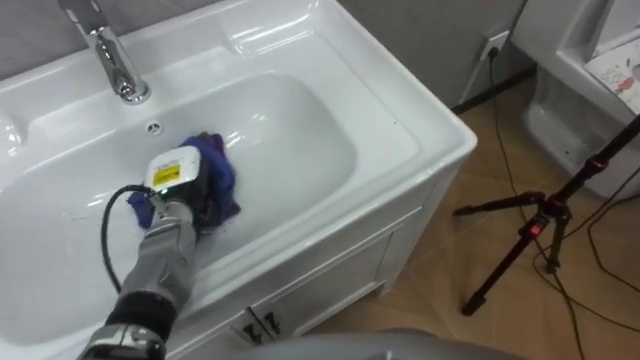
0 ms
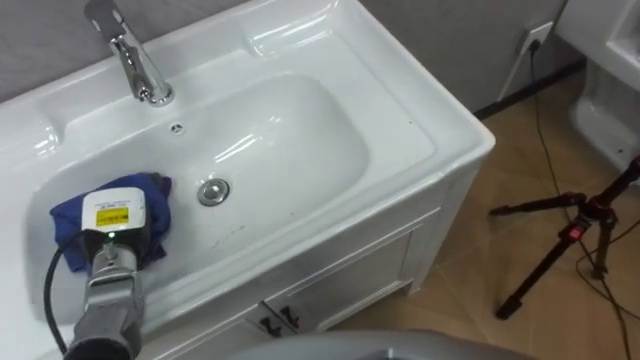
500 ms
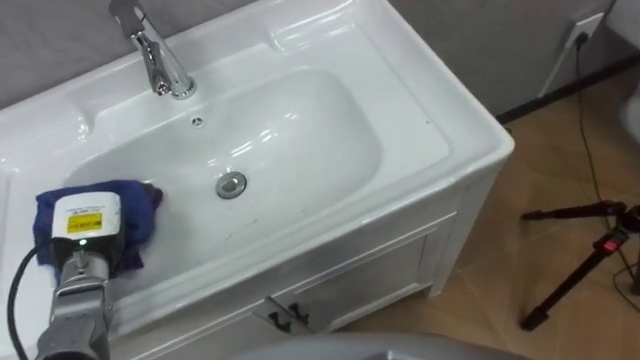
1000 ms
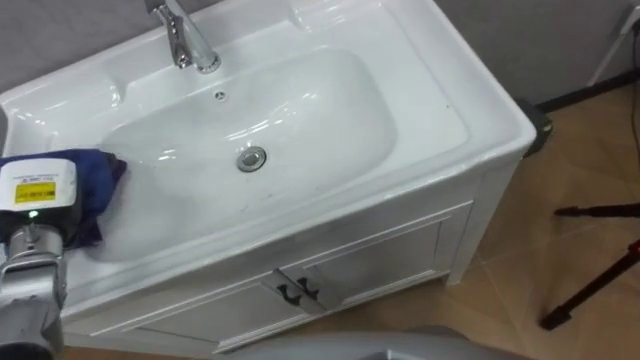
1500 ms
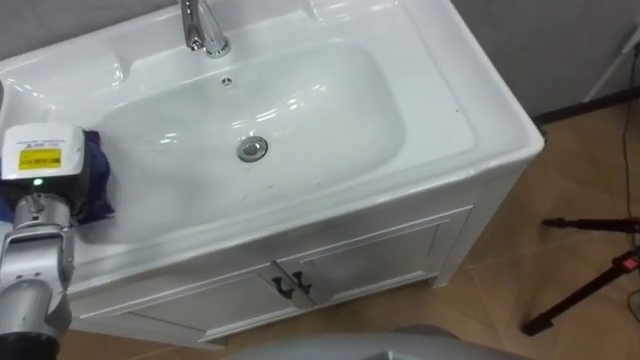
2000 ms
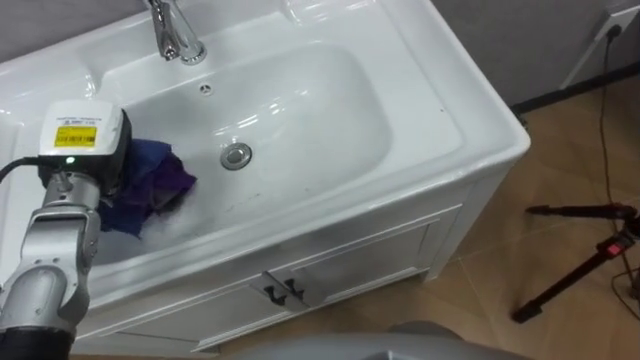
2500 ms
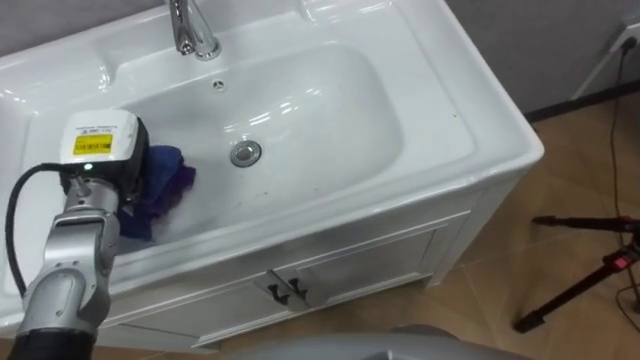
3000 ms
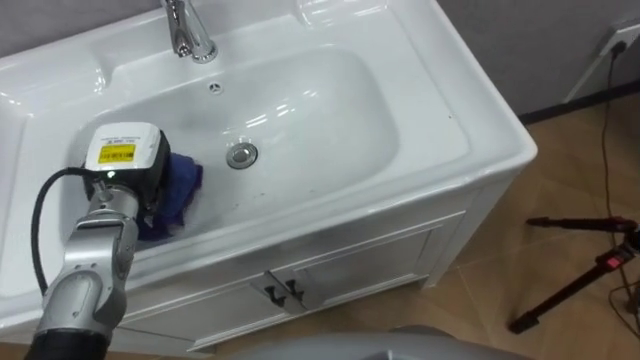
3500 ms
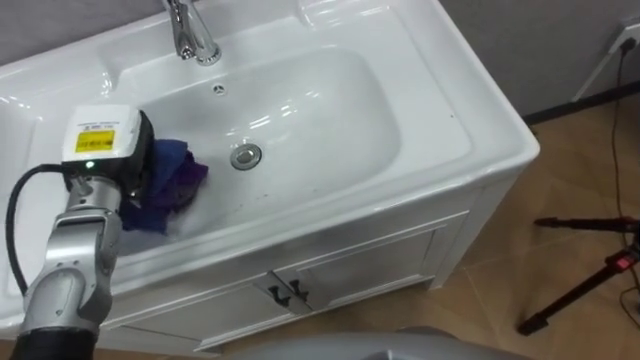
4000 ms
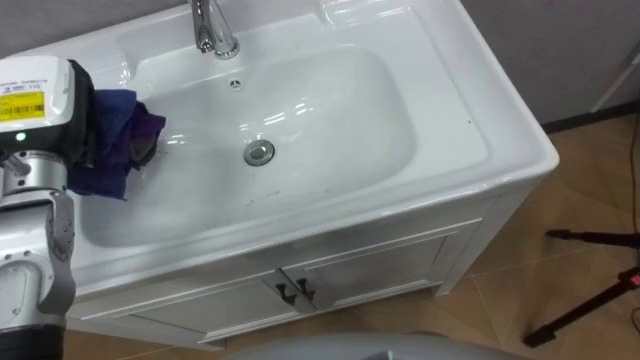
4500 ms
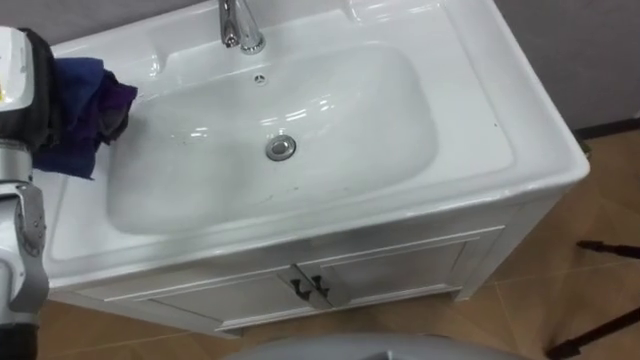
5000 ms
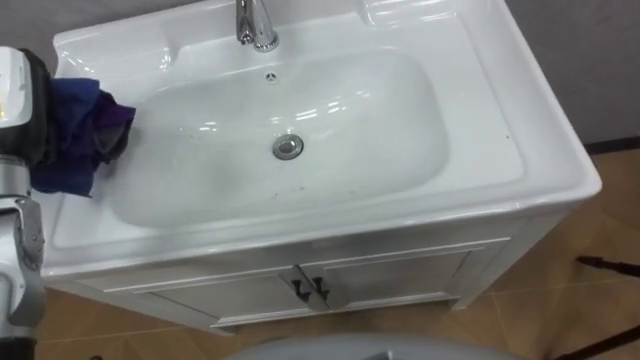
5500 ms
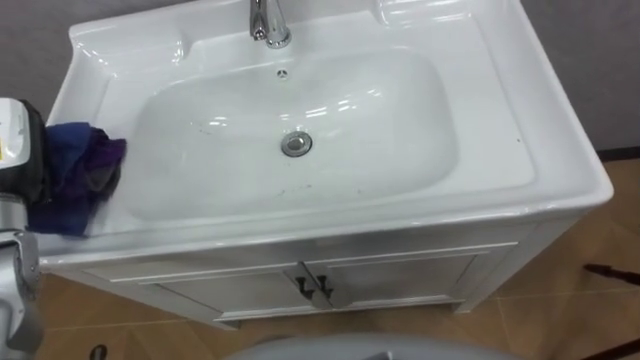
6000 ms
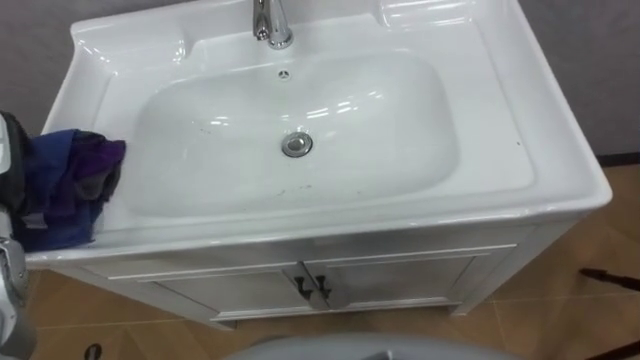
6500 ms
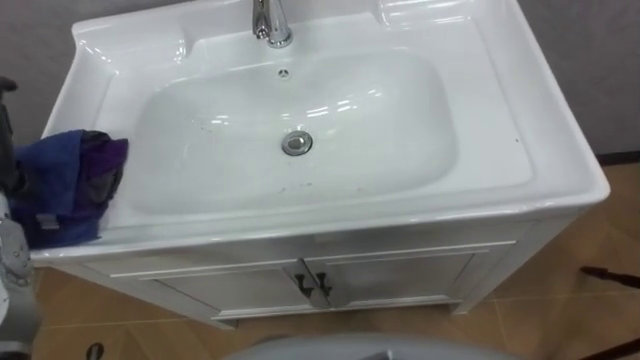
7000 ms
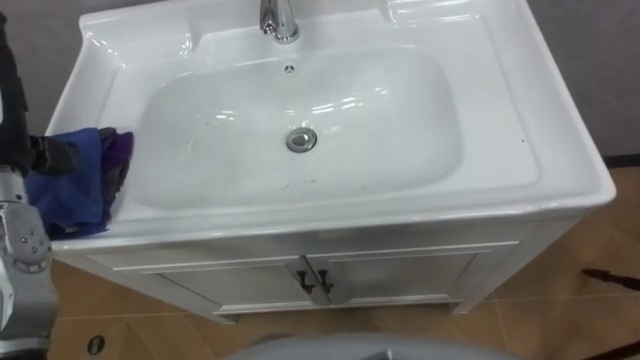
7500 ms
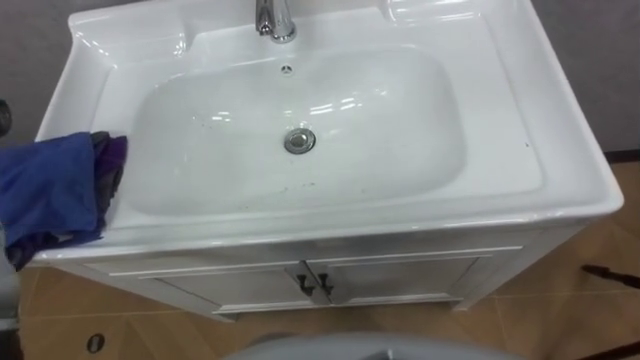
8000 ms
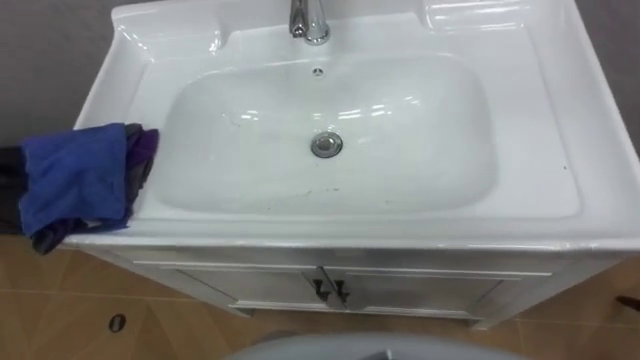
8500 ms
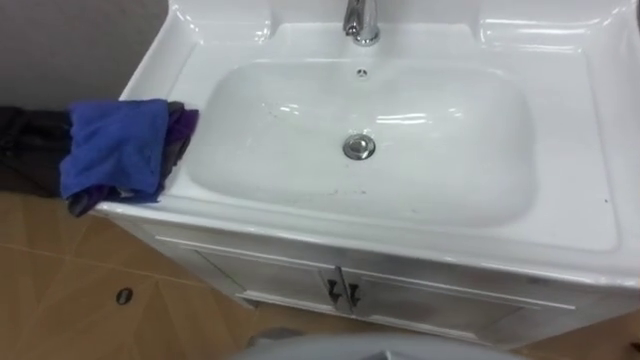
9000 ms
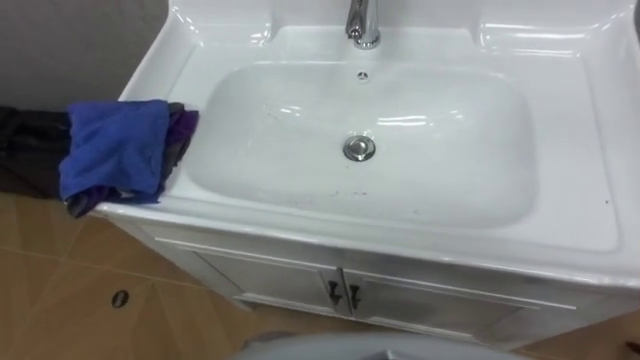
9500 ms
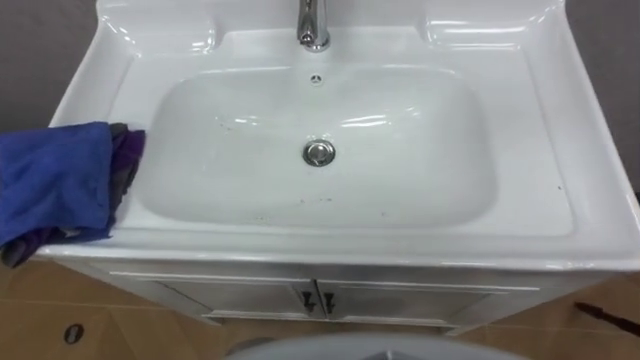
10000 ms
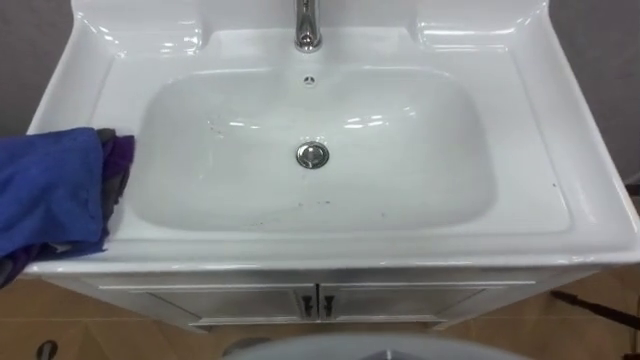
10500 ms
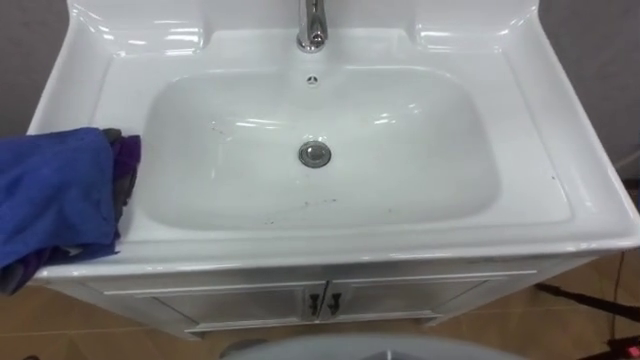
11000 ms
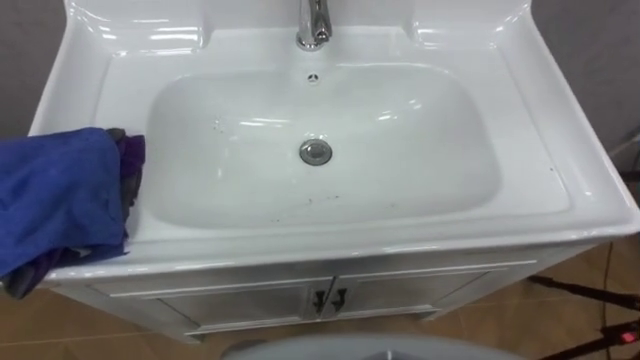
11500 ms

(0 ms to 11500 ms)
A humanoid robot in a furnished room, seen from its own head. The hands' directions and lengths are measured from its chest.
Task of the whole recording: Use the cloth on the right to wipe away the black stain in the sink.
0 ms - 2000 ms: The left hand heads to the left and upward, covering about 15 cm.
2000 ms - 4000 ms: The left hand moves to the right, roughly 10 cm.

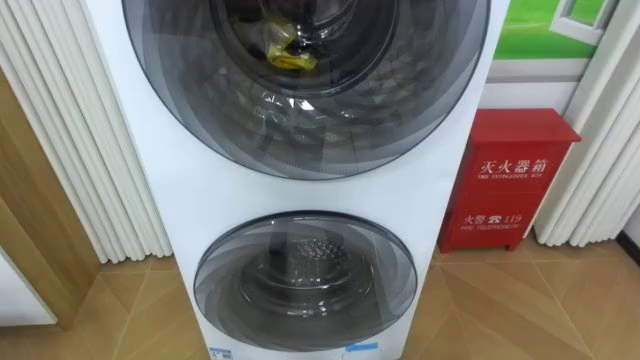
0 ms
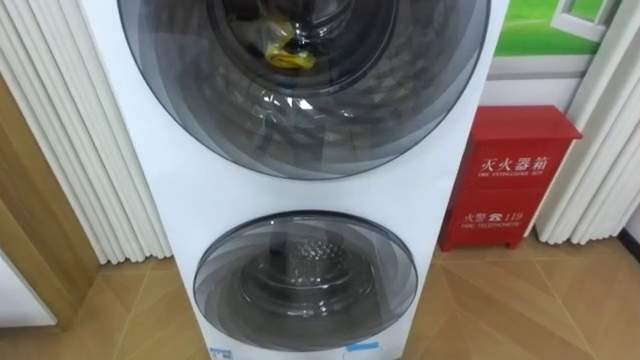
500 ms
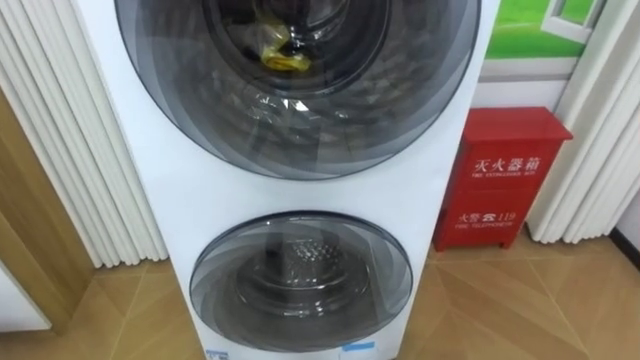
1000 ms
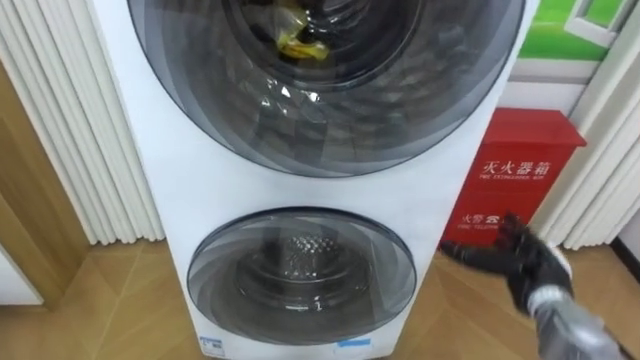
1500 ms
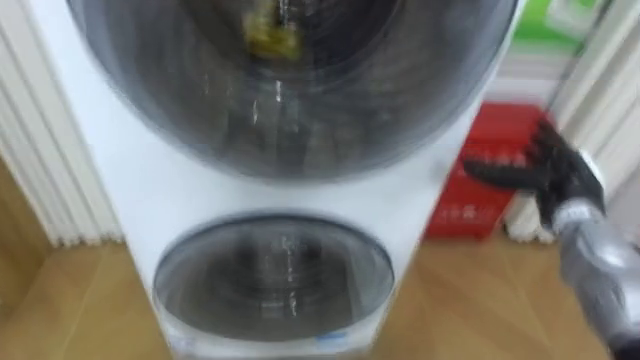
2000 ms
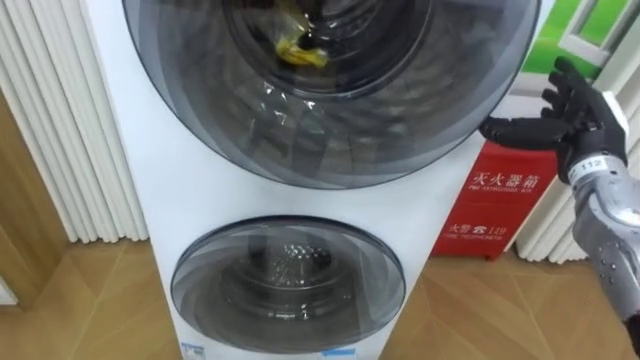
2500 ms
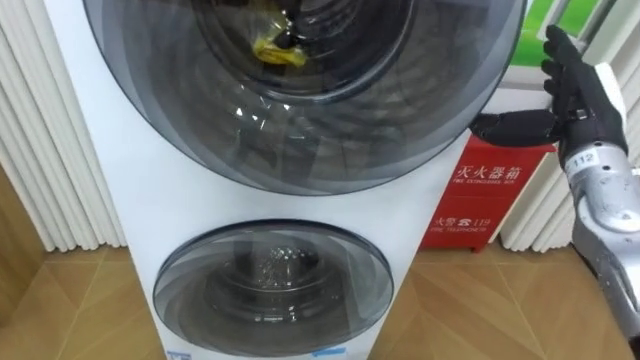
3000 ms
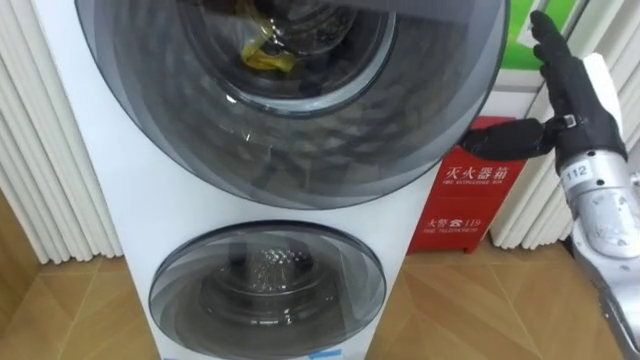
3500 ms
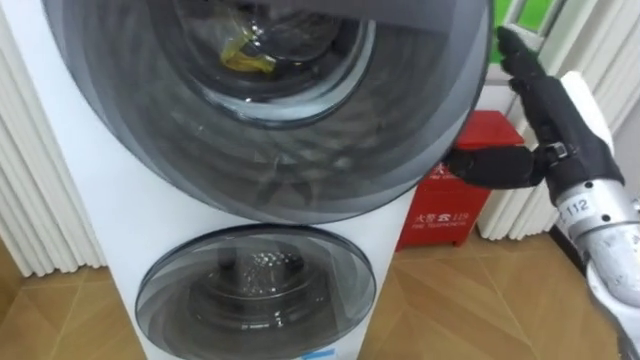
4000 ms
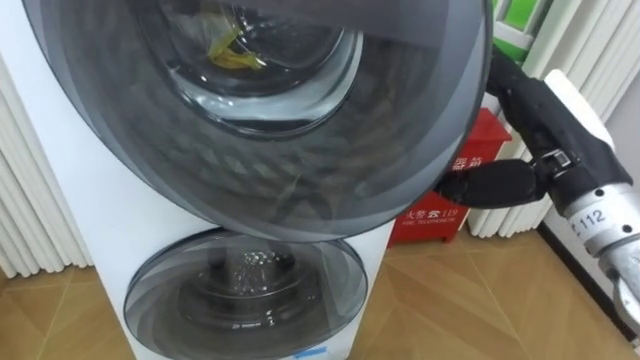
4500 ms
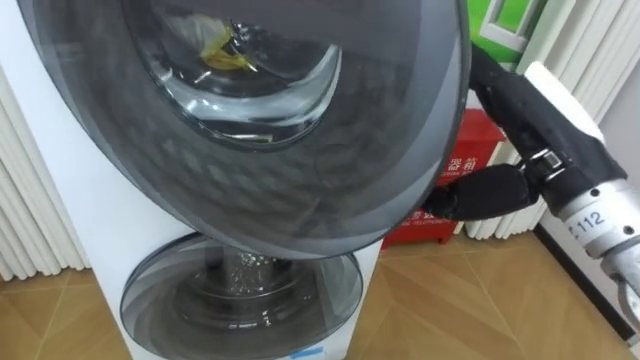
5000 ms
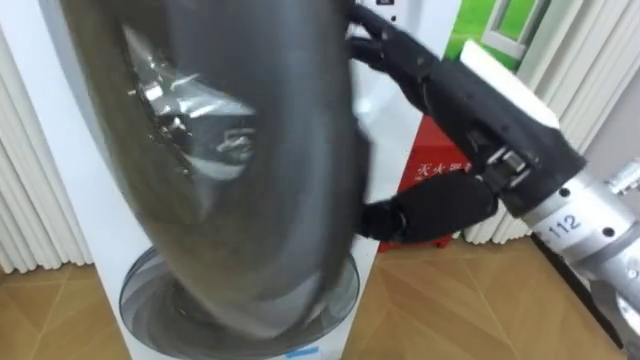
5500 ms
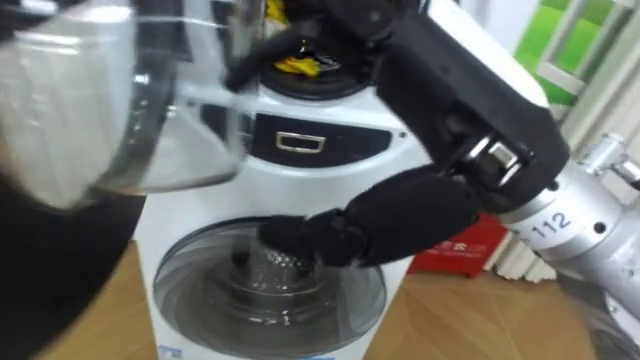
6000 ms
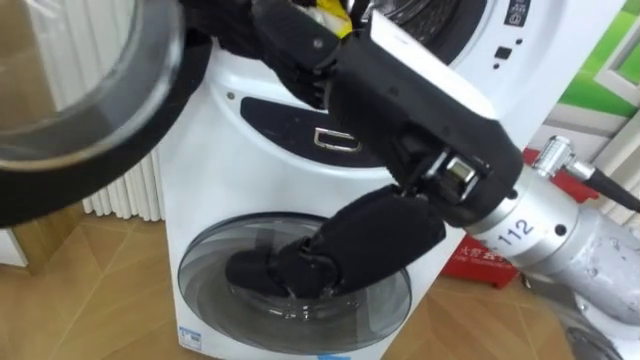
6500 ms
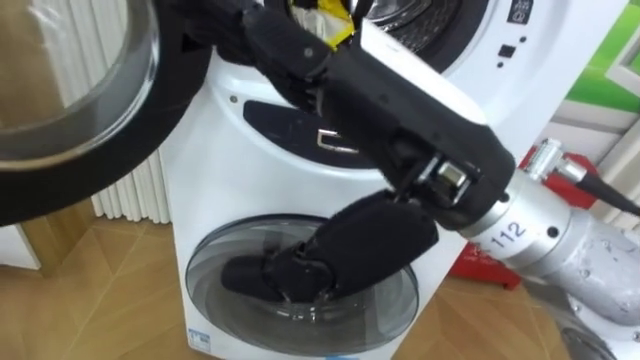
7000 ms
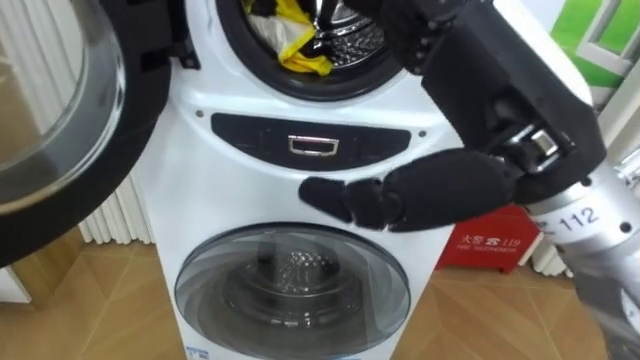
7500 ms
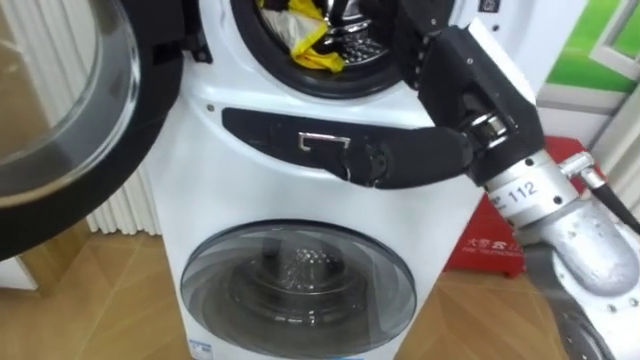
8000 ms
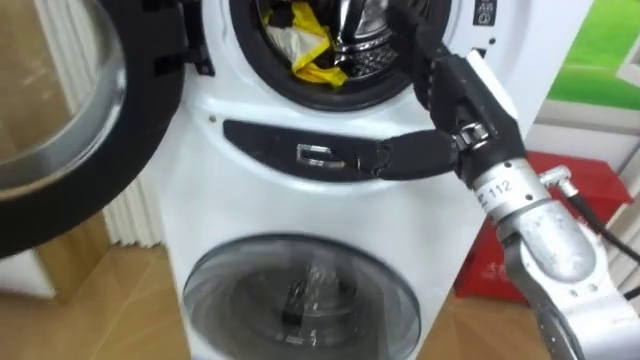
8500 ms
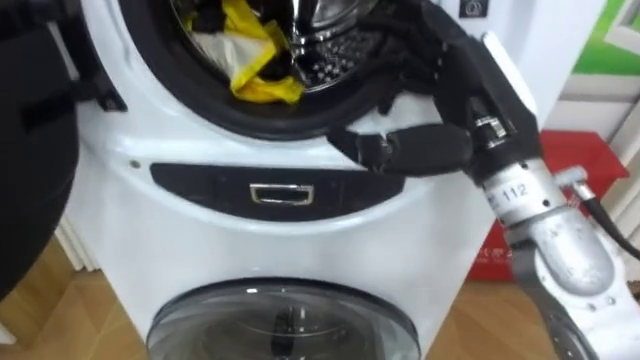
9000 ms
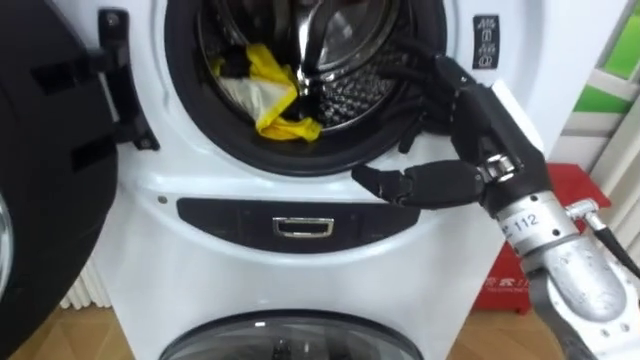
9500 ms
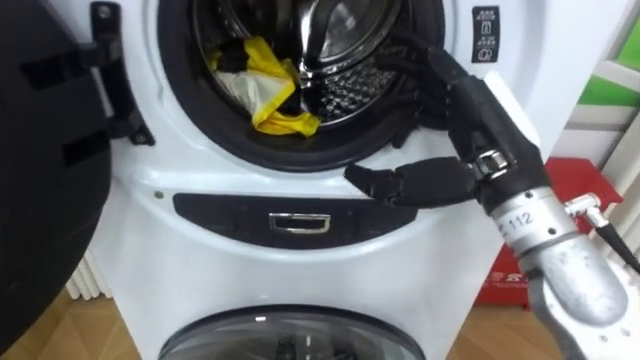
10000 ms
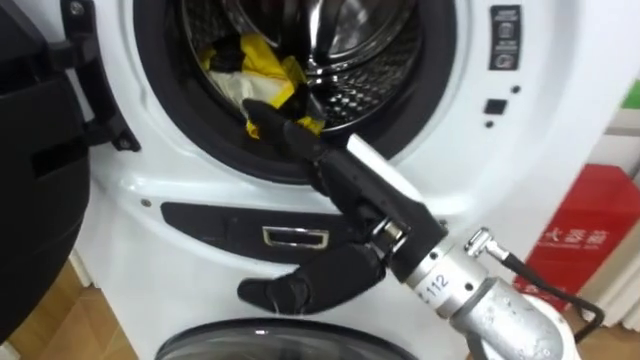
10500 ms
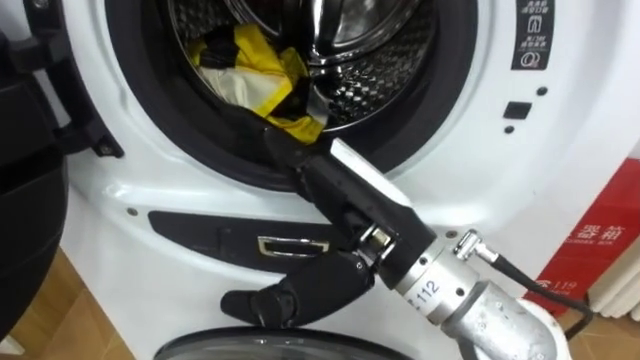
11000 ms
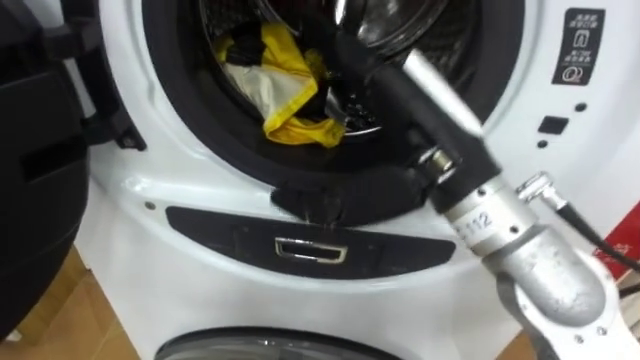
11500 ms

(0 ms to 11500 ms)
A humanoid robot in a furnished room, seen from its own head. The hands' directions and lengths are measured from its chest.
Task of the whole recording: Open the washing machine door, take out the yellow clothes, place them in the box on the right, and close the washing machine door.
2000 ms - 4000 ms: The right hand moves upward, to the left and backward, some 15 cm.
4000 ms - 6000 ms: The right hand shifts approximately 20 cm to the left, upward and backward.
7500 ms - 9500 ms: The right hand heads downward and forward, covering about 10 cm.
9500 ms - 11500 ms: The right hand travels to the left and upward by approximately 10 cm.
